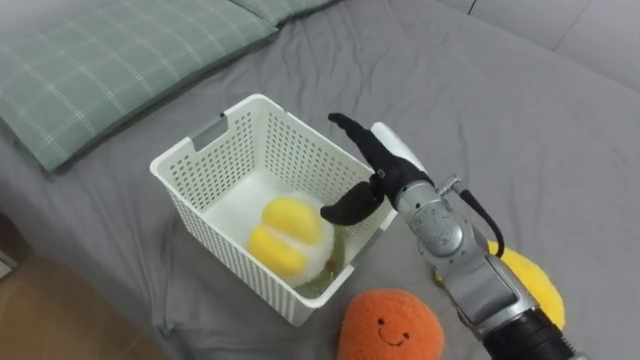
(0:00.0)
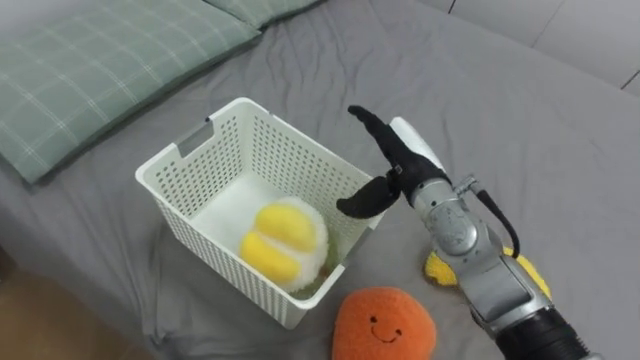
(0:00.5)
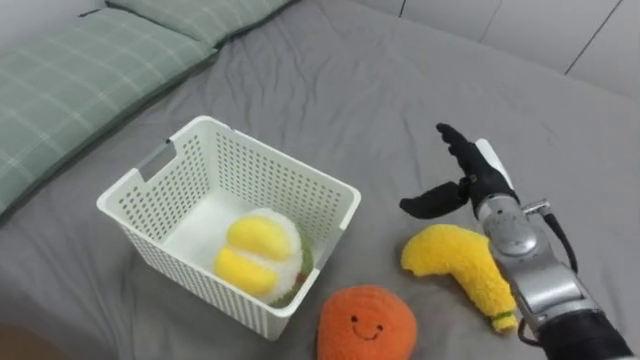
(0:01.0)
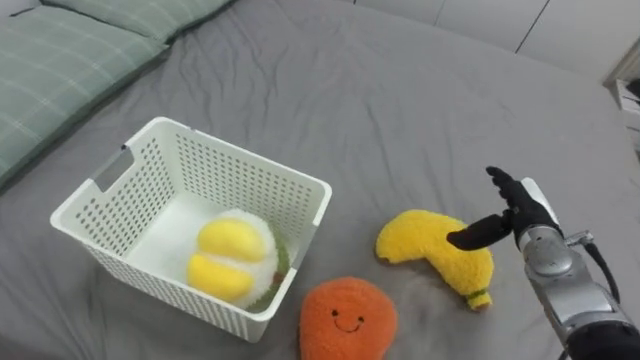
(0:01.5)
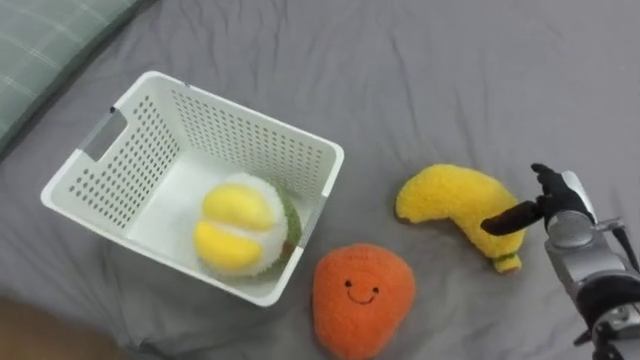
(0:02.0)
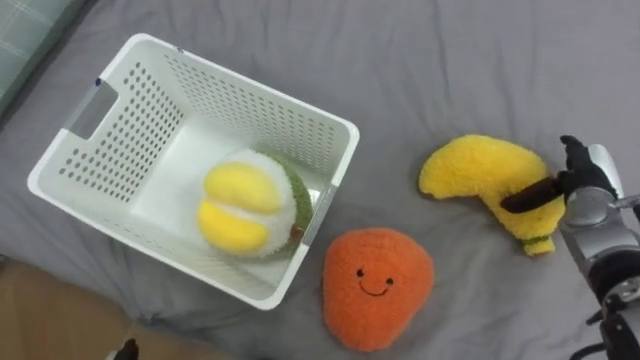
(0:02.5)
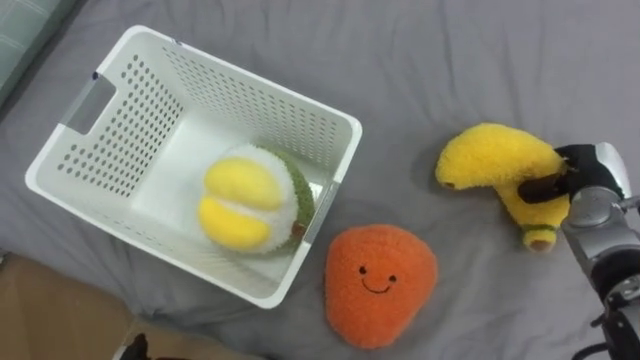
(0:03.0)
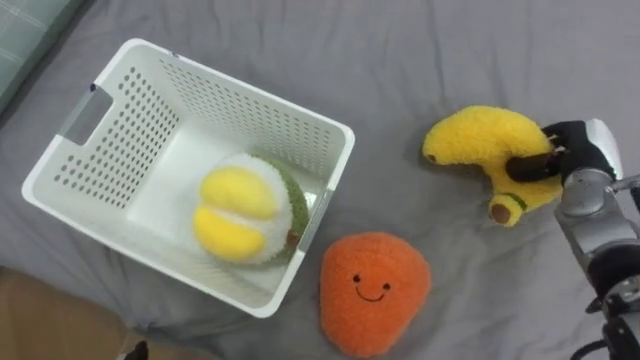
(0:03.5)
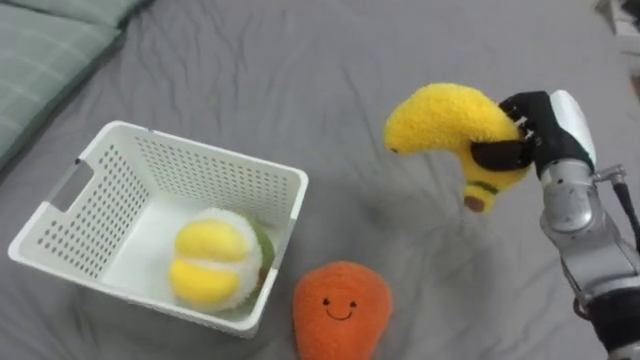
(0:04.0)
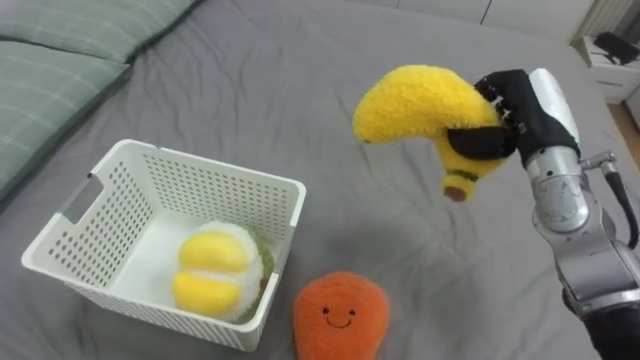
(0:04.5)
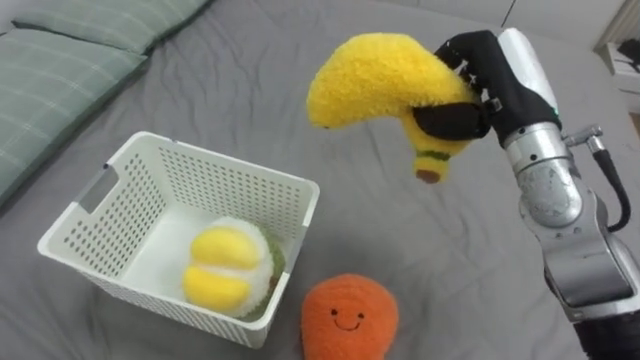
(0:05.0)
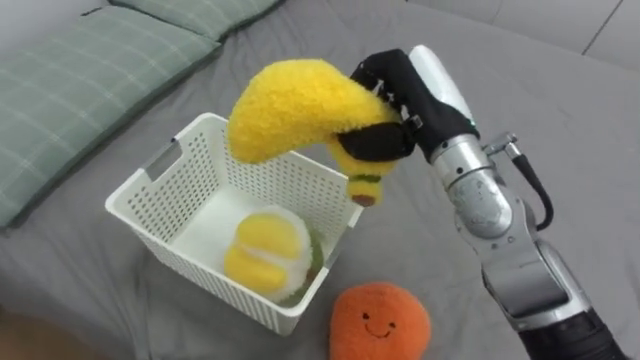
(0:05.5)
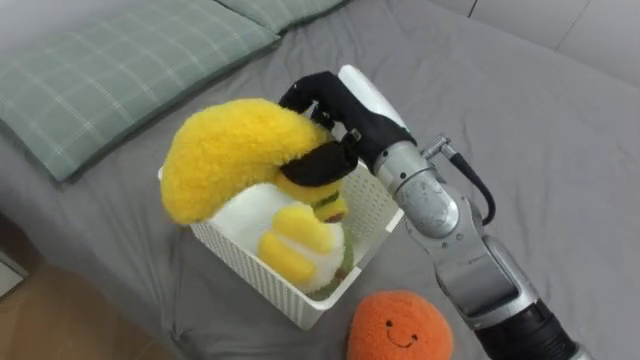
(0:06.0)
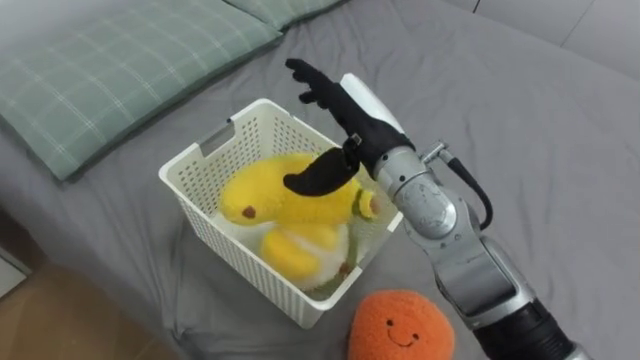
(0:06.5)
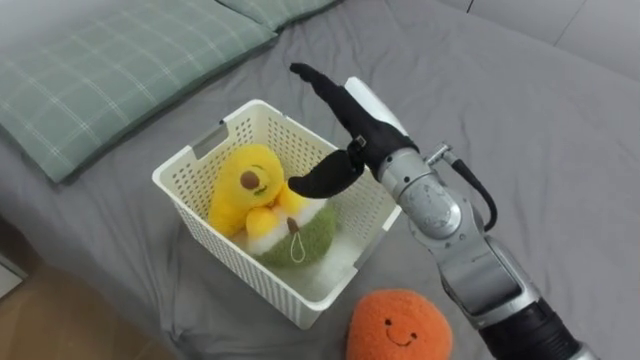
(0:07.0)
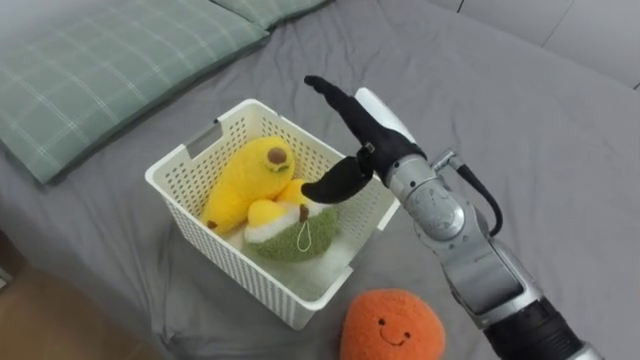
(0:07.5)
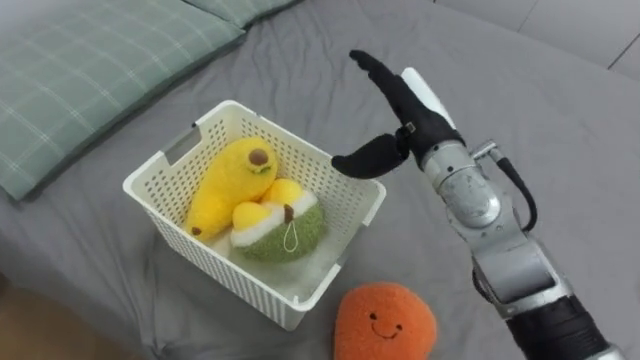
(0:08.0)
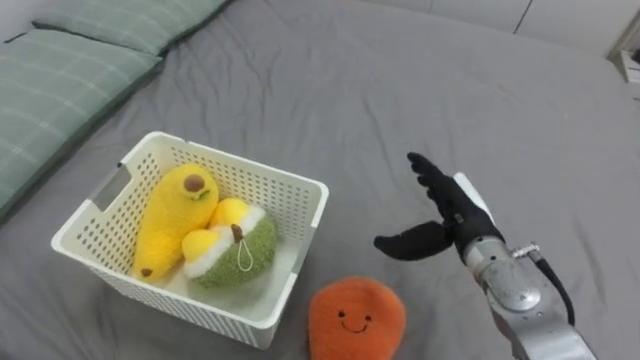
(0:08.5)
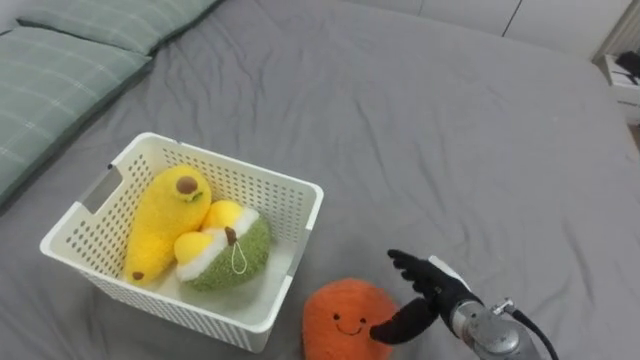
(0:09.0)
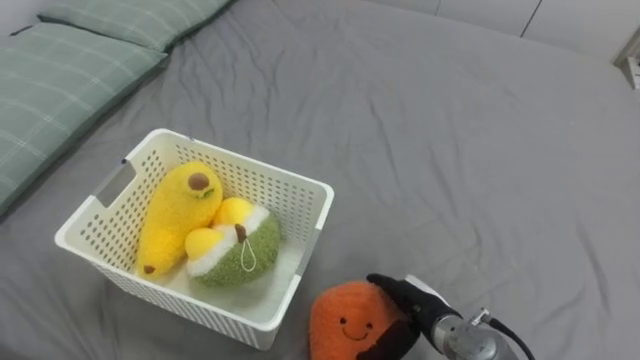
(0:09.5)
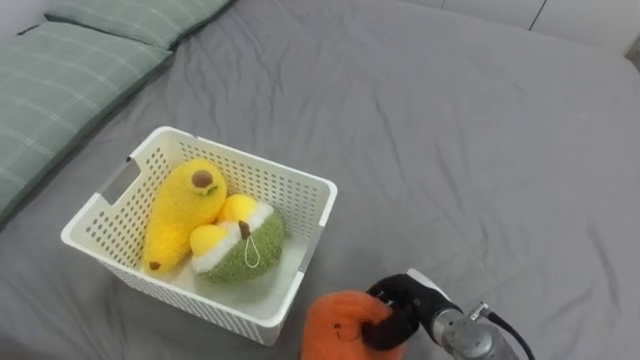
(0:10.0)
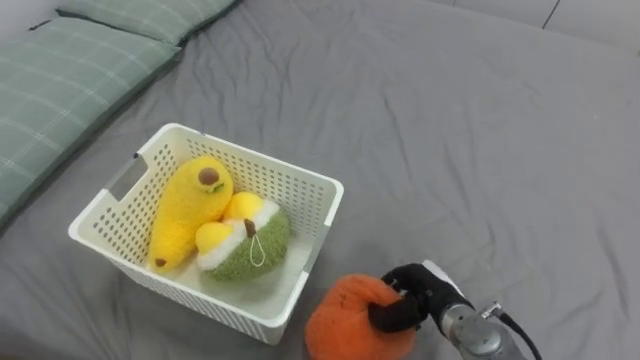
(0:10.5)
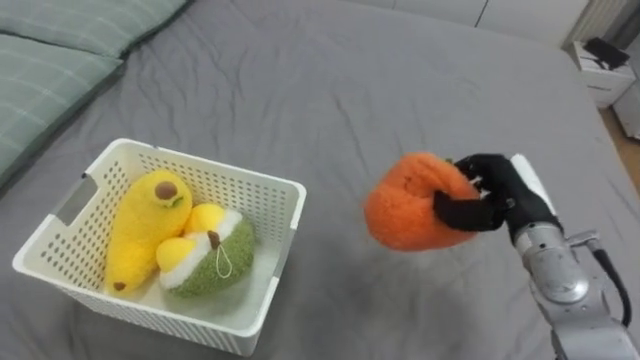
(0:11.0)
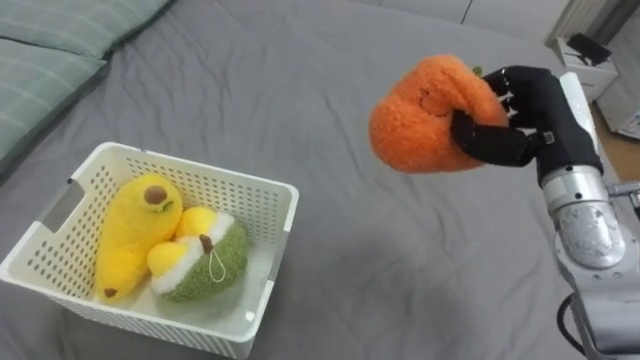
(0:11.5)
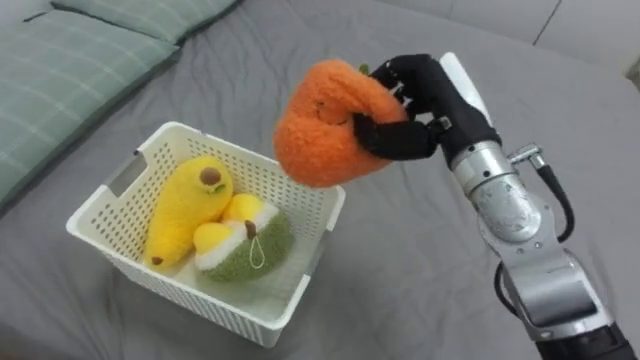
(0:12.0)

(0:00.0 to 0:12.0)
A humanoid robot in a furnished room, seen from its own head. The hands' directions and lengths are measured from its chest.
Task of the whole recording: Put the toys on the bed into the basket on the left.
0:00.0 - 0:02.0: The right hand heads to the right, covering approximately 25 cm.
0:02.0 - 0:04.0: The right hand travels upward by about 10 cm, and closes.
0:04.0 - 0:06.0: The right hand shifts approximately 25 cm to the left.
0:06.0 - 0:08.0: The right hand shifts approximately 5 cm to the right, and opens its fingers.
0:08.0 - 0:10.0: The right hand heads downward and backward, covering approximately 25 cm, and closes its fingers.
0:10.0 - 0:12.0: The right hand goes some 30 cm upward and forward.

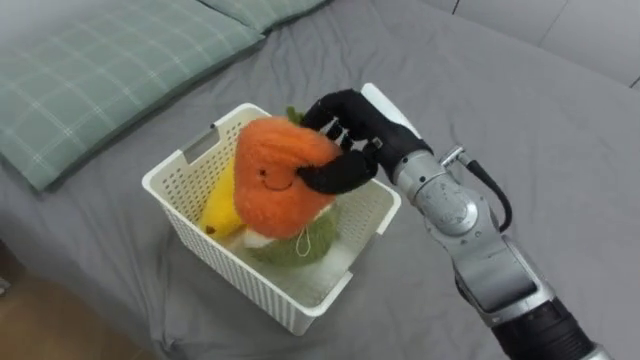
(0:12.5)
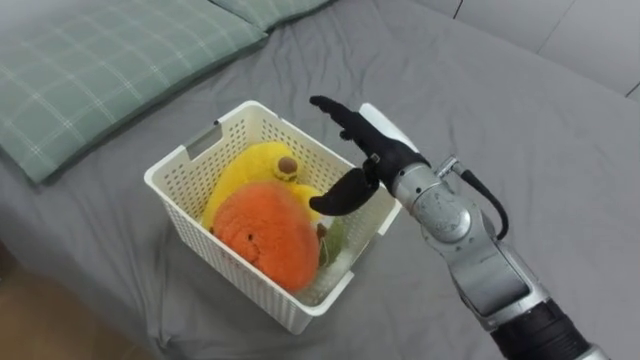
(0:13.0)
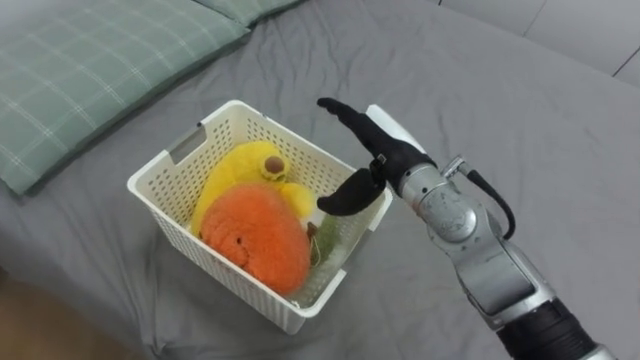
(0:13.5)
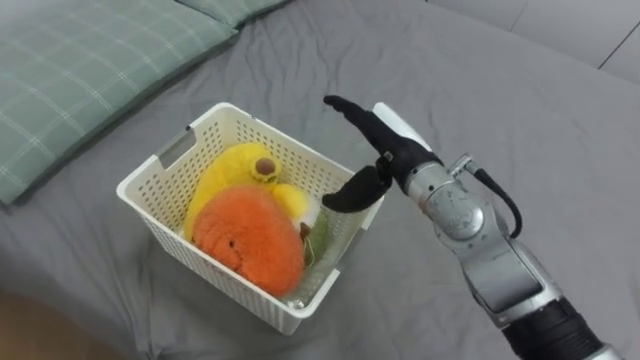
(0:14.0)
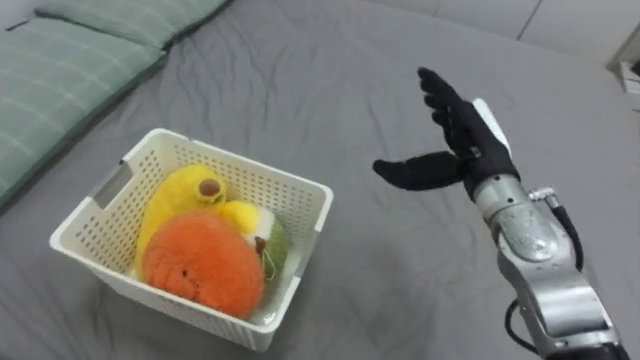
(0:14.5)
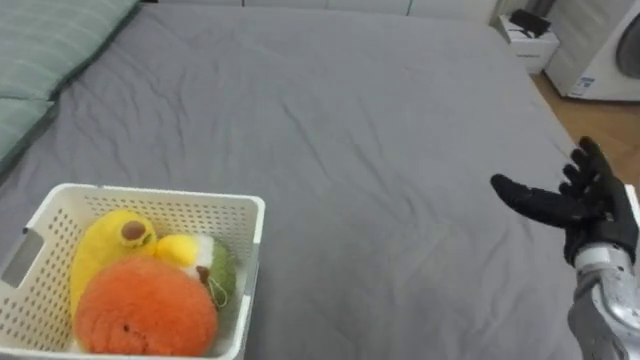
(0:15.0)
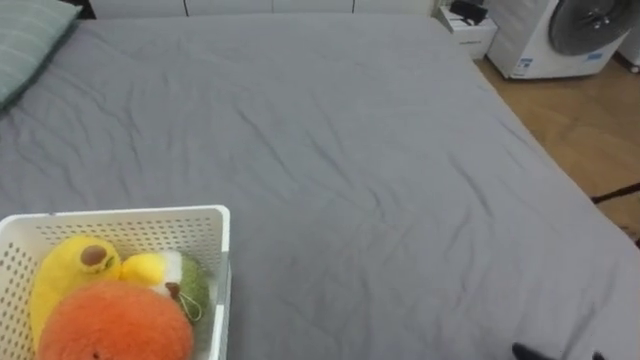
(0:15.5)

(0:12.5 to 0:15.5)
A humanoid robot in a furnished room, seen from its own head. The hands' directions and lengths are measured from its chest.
Task of the whole recording: Put the toys on the bed into the basket on the left.
0:12.5 - 0:14.0: The right hand opens up.

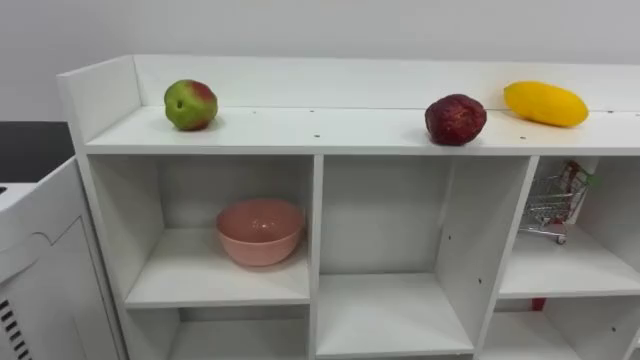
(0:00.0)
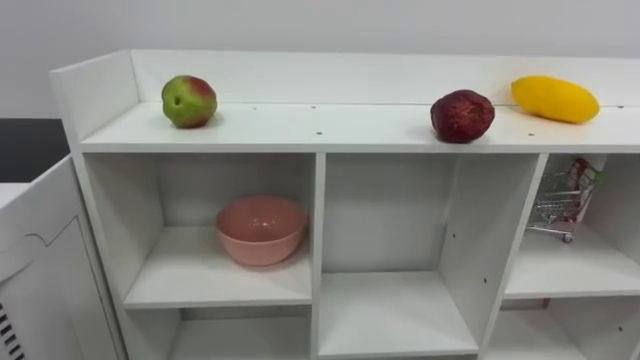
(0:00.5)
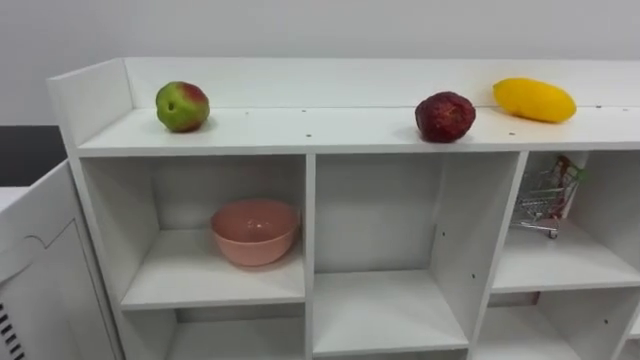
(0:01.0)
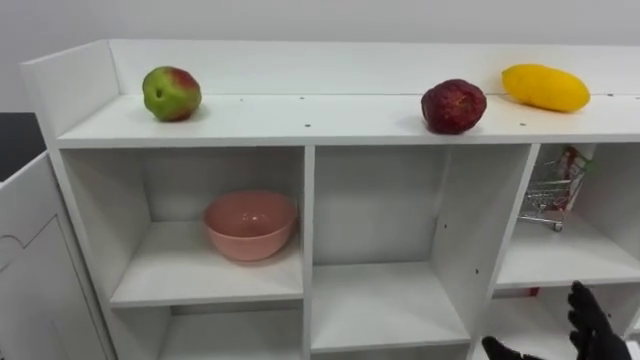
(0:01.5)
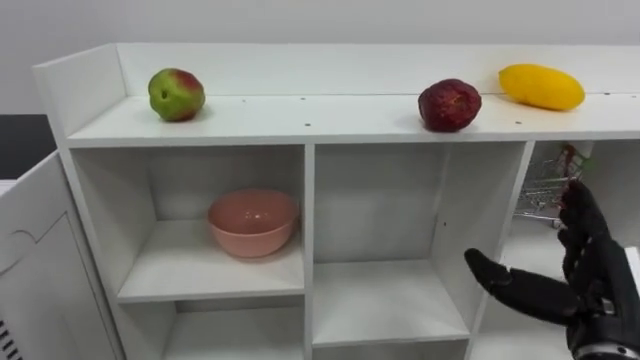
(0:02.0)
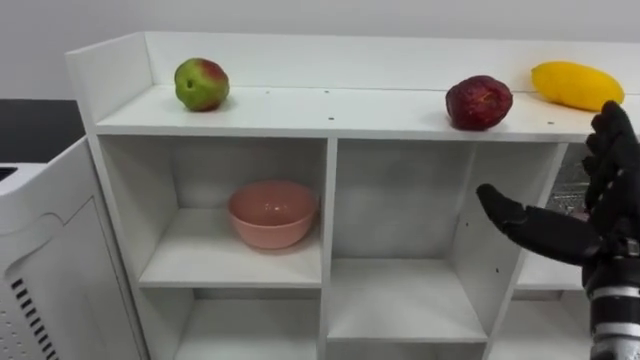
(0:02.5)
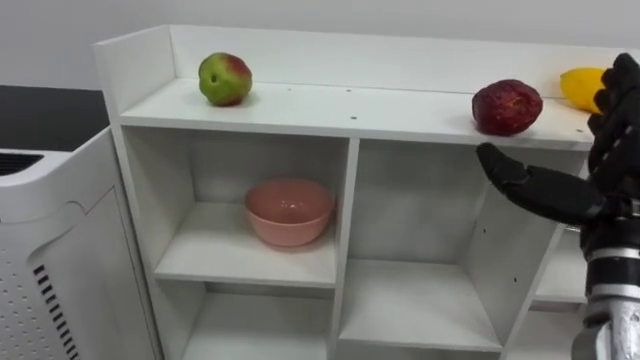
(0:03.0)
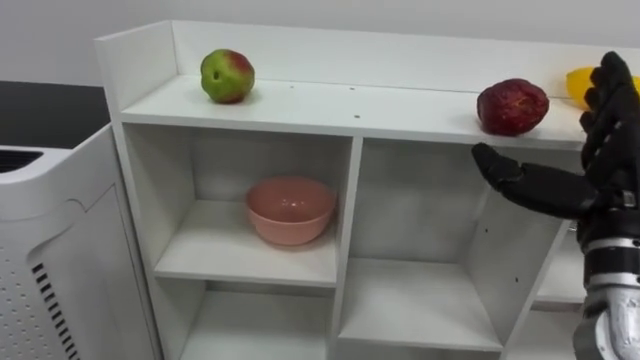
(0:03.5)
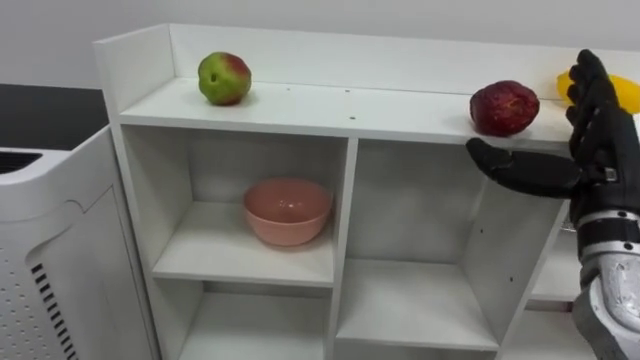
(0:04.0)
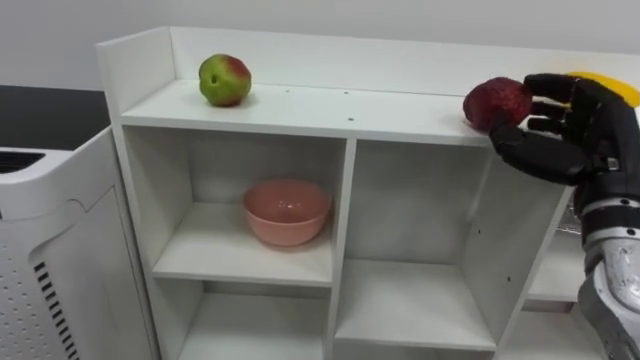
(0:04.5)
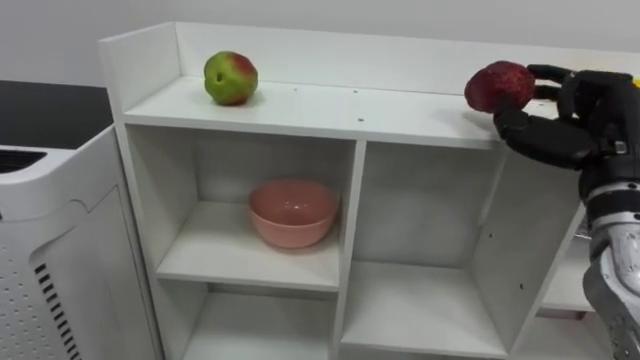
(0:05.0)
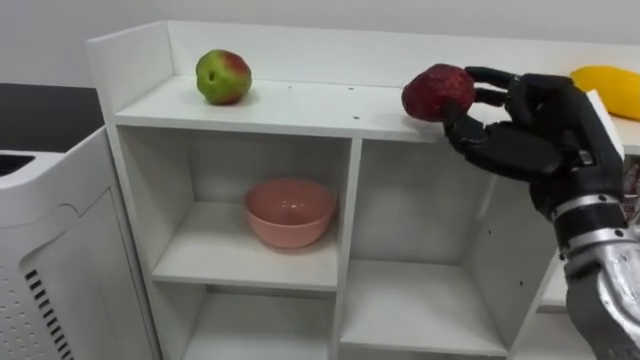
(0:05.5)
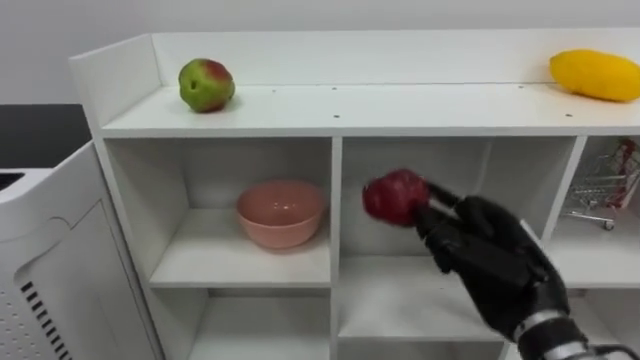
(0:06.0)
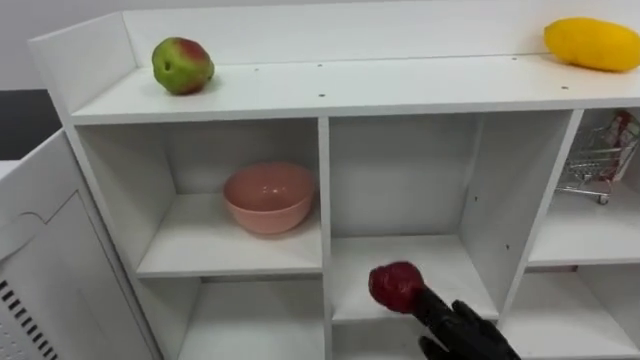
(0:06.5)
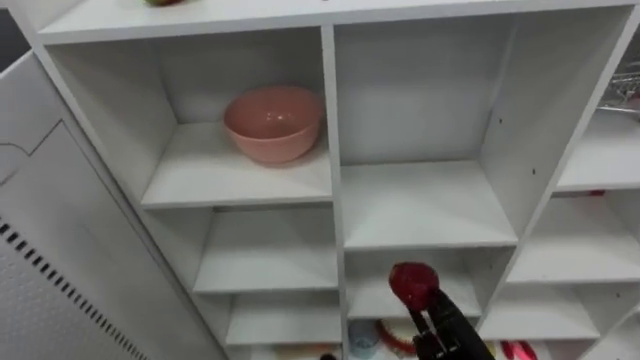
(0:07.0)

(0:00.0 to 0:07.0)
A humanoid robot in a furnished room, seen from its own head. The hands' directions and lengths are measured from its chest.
Task of the whole recording: Put the apple in the cell in the second column from the left and the second row from the top.
0:02.0 - 0:03.5: The right hand heads upward, covering approximately 10 cm.
0:03.5 - 0:05.0: The right hand ends up roughly 5 cm from where it was, and closes.
